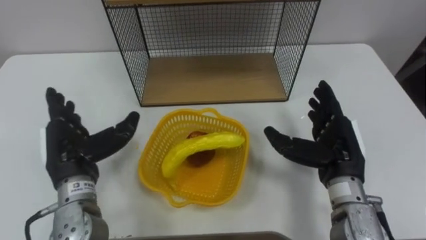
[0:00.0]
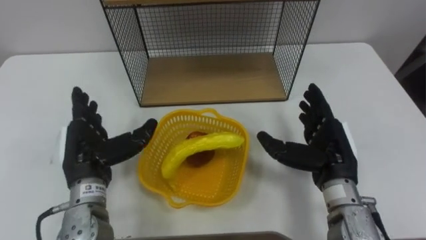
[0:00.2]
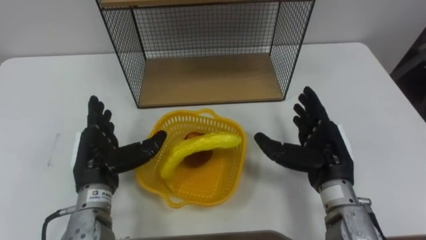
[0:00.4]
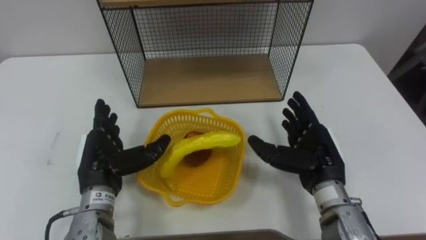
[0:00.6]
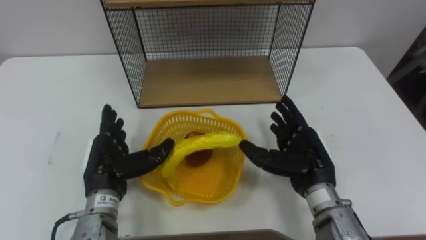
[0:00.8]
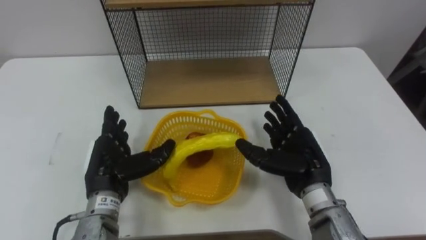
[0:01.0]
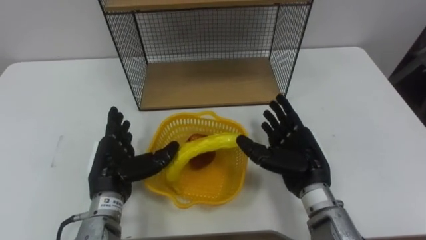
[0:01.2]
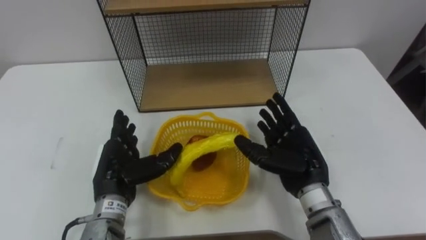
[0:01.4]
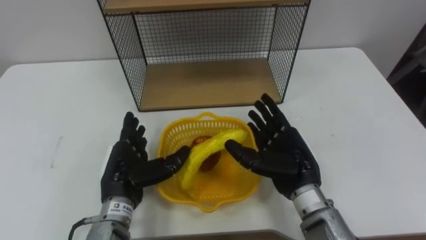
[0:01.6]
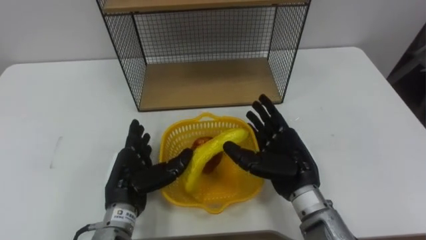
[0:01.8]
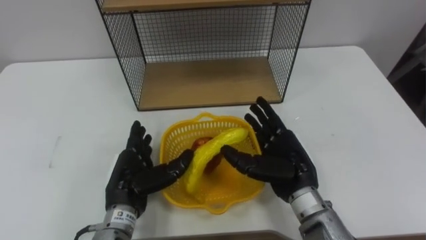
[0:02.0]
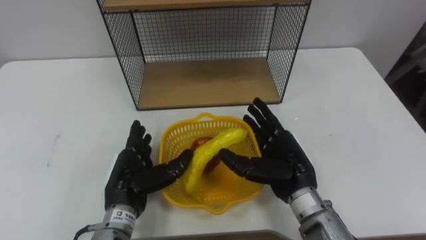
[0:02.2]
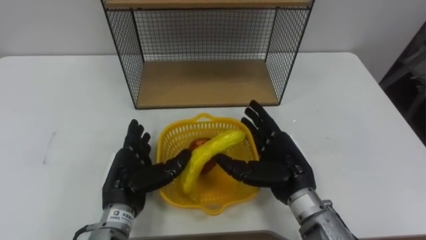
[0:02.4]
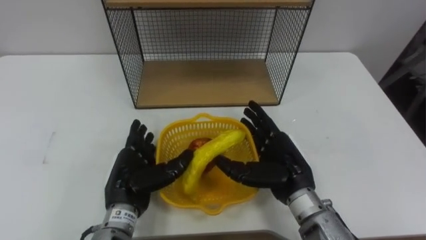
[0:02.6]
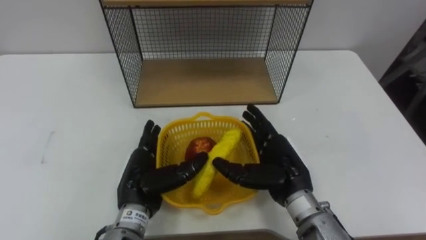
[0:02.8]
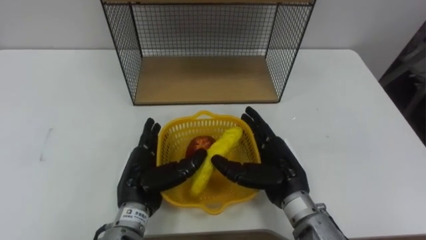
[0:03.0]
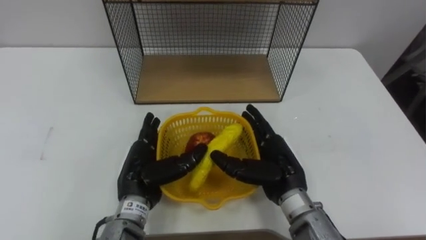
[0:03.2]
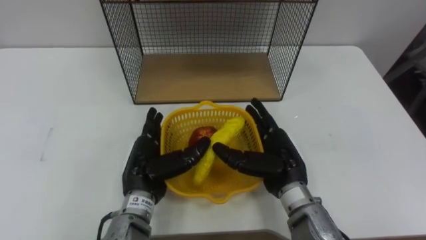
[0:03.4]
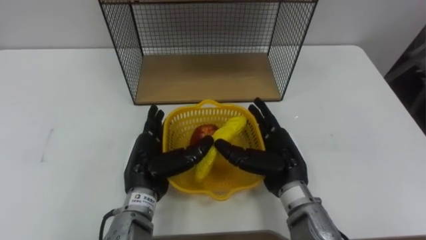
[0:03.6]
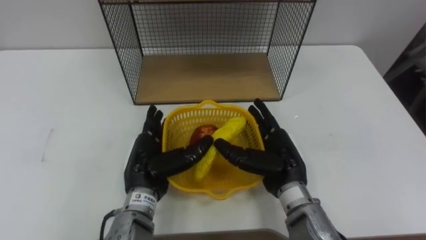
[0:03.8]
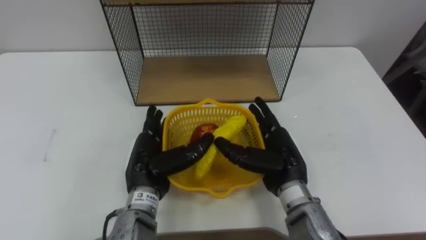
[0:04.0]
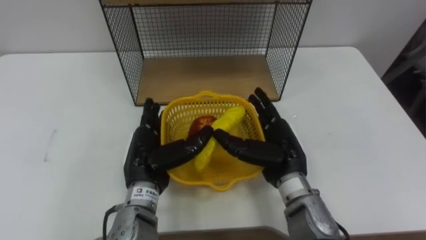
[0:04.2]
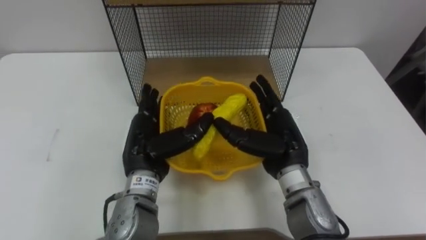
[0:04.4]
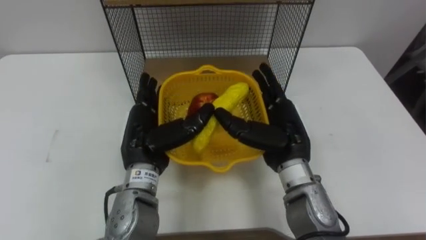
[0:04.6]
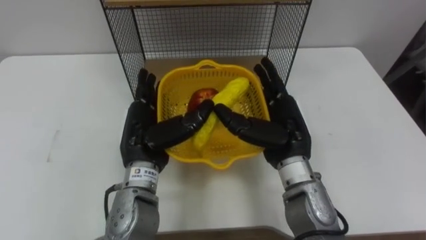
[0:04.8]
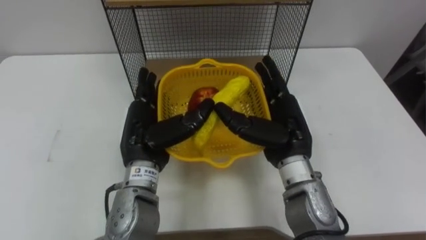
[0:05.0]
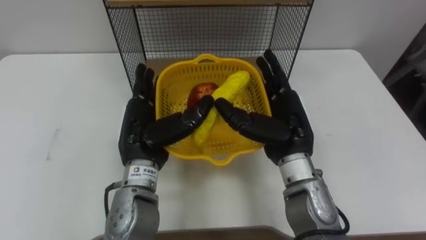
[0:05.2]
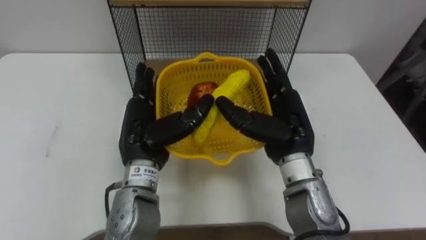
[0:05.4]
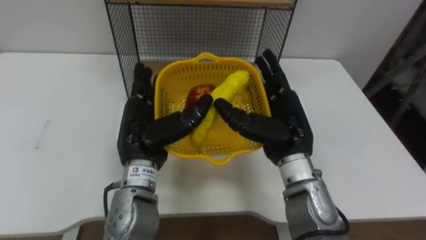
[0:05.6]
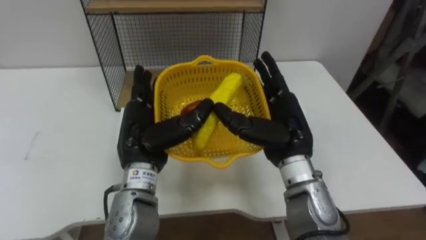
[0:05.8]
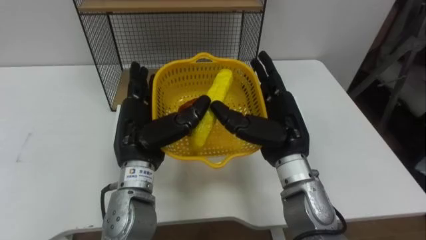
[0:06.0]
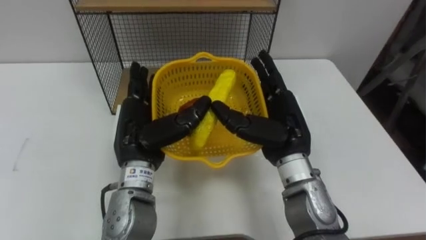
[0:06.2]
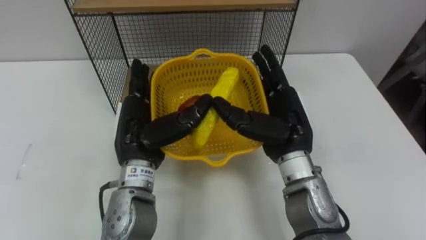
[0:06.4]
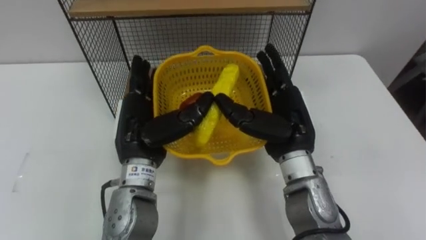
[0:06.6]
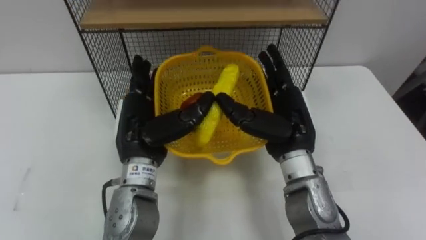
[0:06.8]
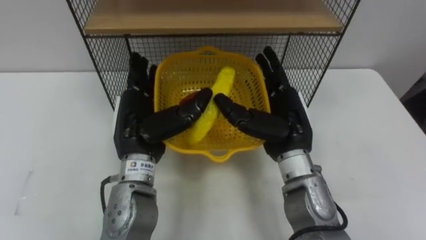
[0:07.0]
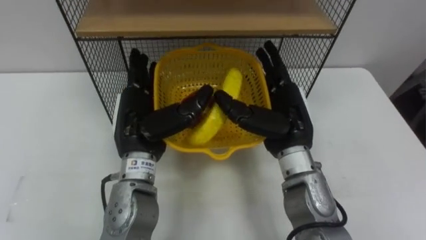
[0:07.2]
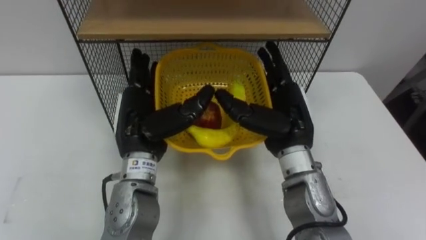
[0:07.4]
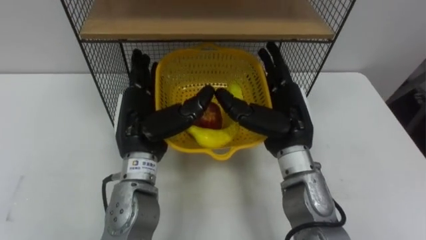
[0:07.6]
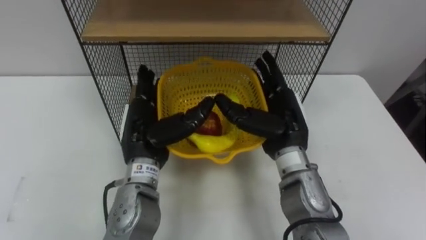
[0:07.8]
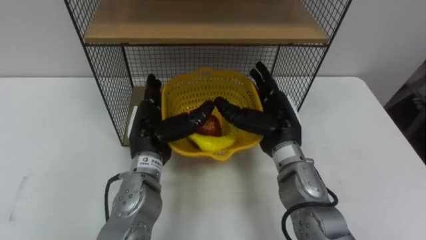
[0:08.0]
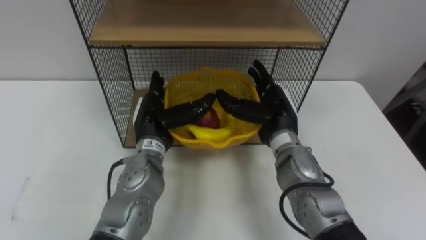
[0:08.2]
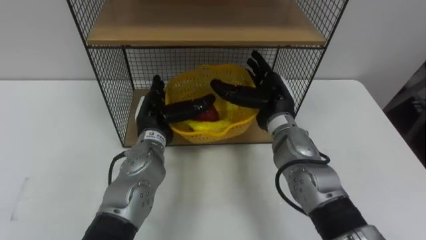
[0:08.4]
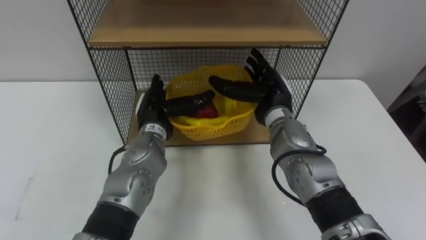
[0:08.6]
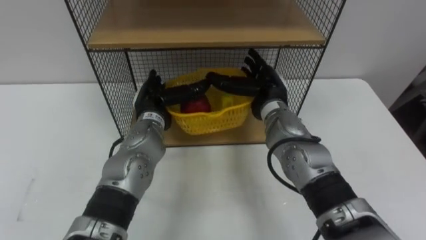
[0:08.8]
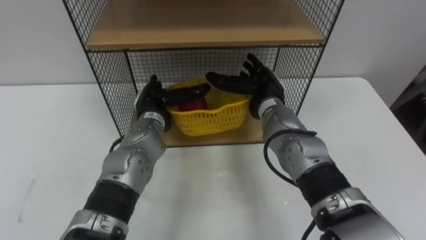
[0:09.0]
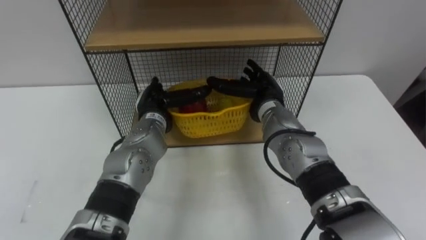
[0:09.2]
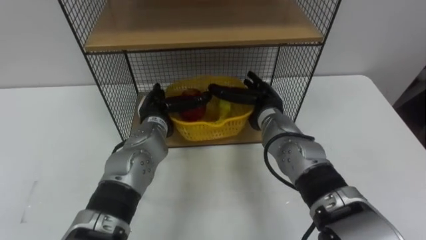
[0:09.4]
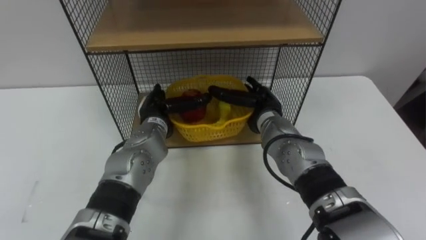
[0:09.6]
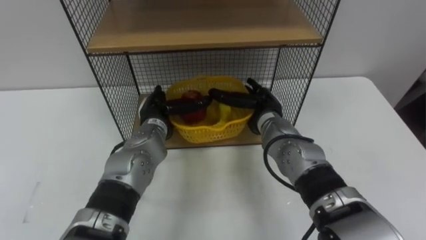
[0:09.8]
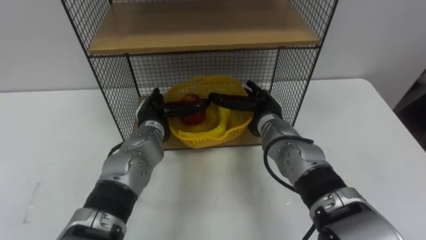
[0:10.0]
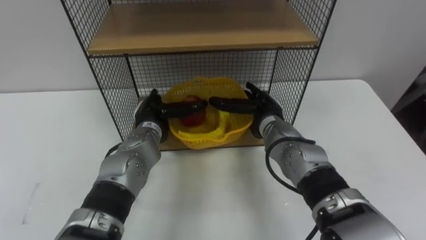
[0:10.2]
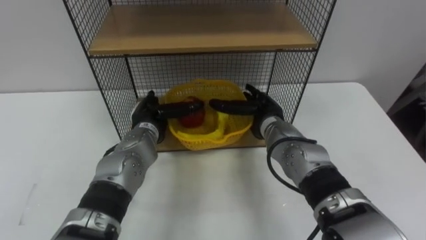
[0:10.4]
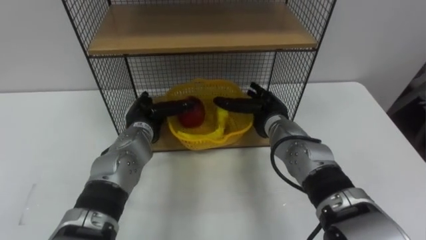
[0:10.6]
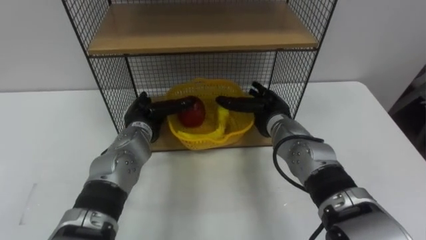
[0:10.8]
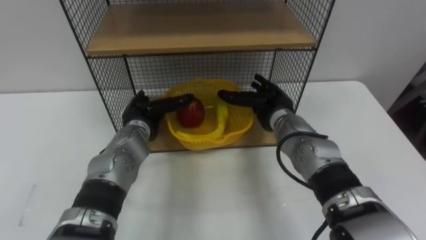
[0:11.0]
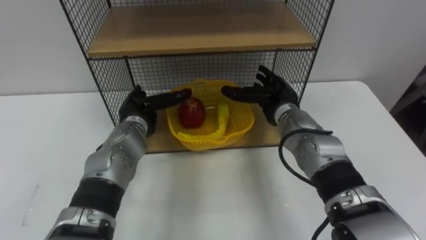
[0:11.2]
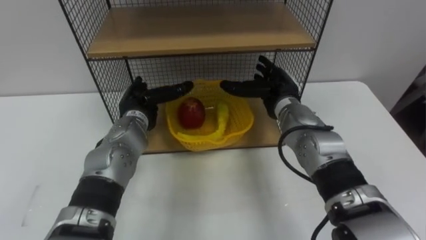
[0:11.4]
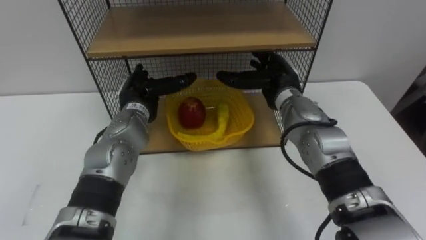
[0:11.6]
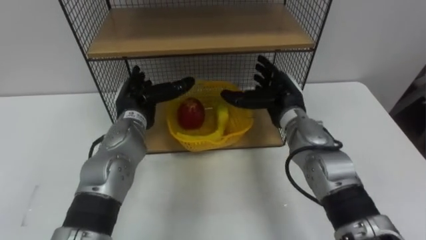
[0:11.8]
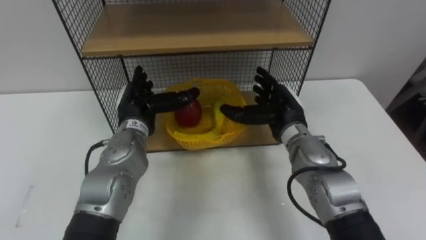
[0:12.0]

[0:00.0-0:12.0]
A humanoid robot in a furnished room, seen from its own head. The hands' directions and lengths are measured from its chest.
Task of the whole recording: Put the fruit on the table into the basket, then place the basket on the shelf.
0:00.0 to 0:01.6: The right hand goes some 10 cm to the left, while the left hand moves to the right and downward, approximately 10 cm.
0:03.0 to 0:04.4: The left hand changes place by approximately 5 cm.
0:07.6 to 0:09.0: The left hand travels forward and downward by some 10 cm, while the right hand shifts about 10 cm forward.
0:09.0 to 0:10.4: The right hand shifts roughly 5 cm downward.
0:10.4 to 0:12.0: The left hand goes some 5 cm upward, while the right hand ends up some 5 cm from where it was.

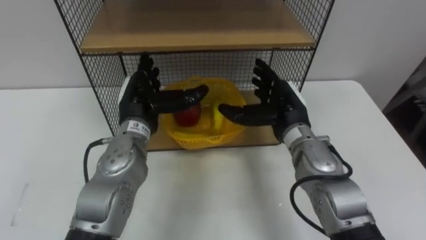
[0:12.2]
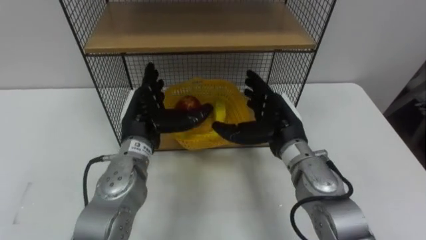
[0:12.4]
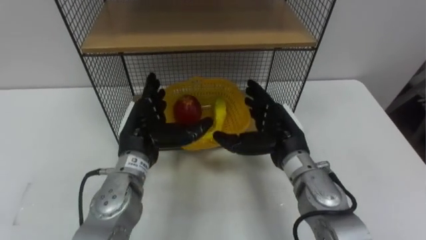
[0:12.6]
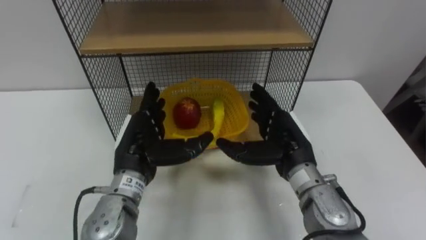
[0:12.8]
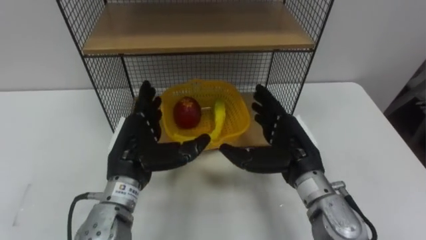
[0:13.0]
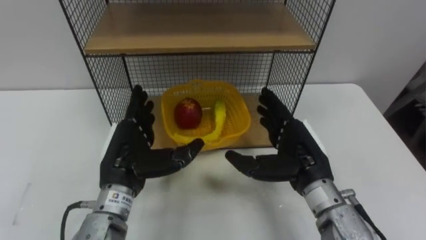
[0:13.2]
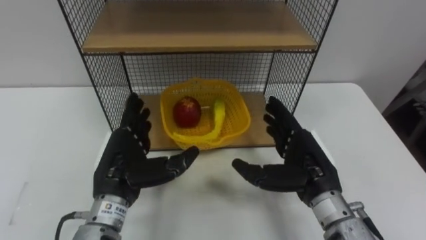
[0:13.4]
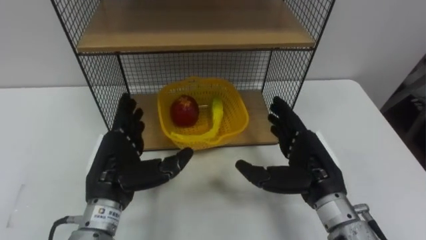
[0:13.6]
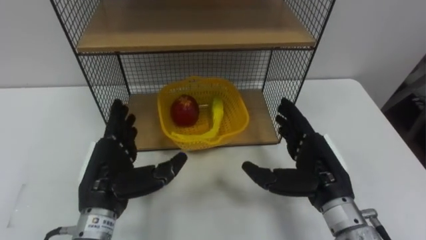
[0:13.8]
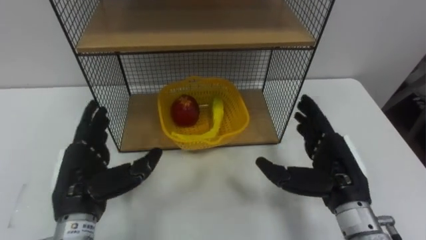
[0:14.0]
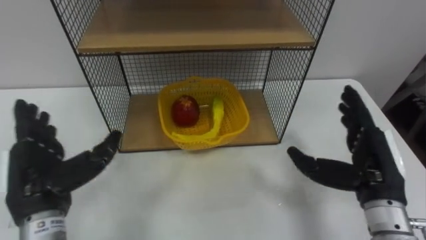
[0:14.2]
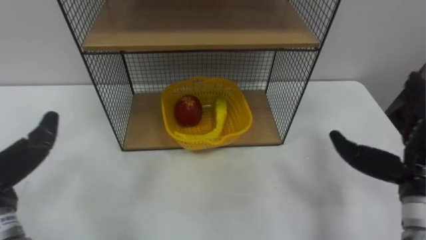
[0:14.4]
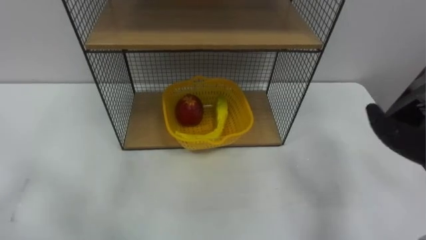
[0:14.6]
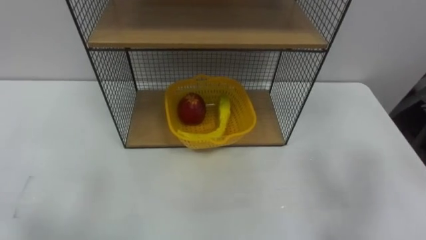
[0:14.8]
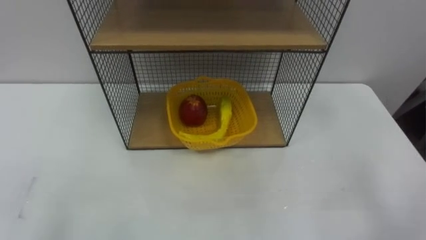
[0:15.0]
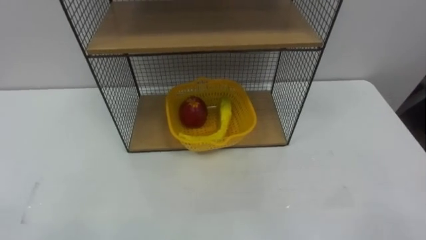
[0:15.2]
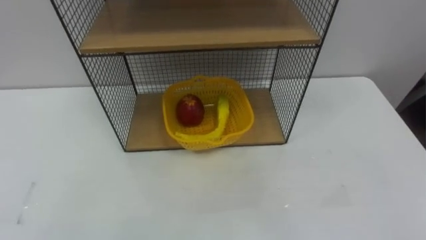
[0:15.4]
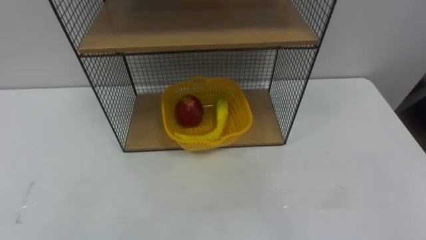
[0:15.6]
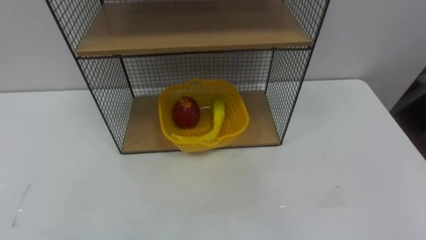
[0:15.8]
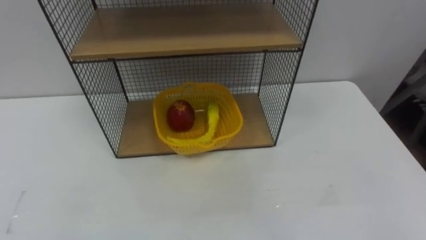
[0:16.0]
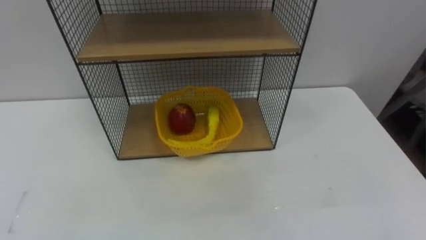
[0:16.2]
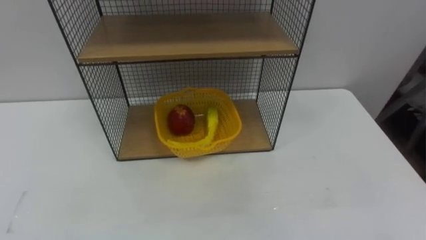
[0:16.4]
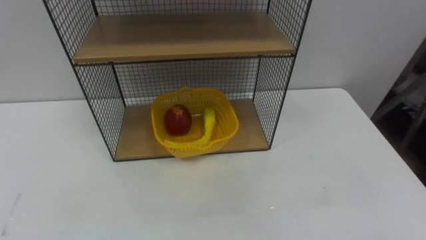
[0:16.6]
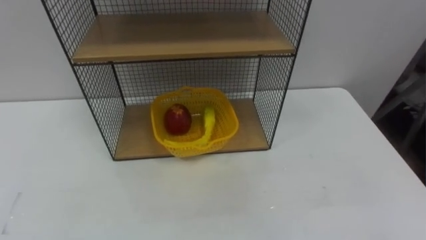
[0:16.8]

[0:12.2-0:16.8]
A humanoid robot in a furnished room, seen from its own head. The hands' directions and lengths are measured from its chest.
Task of the whole recording: Put the fruit on the table into the basket, then place the basket on the shelf.
0:12.2 to 0:13.8: Both hands move backward, roughly 10 cm.
